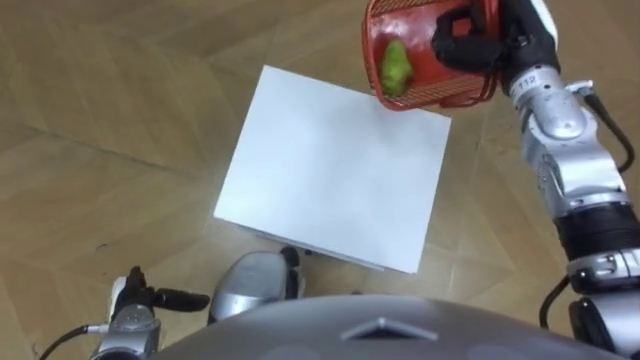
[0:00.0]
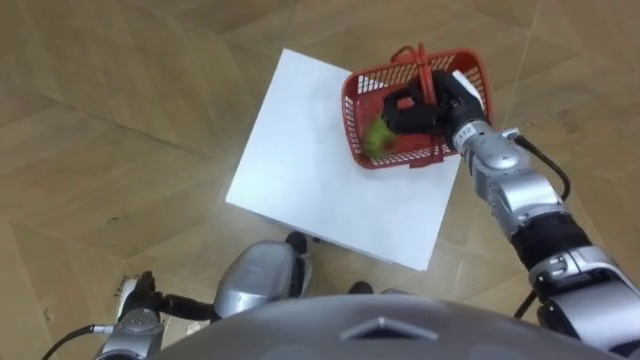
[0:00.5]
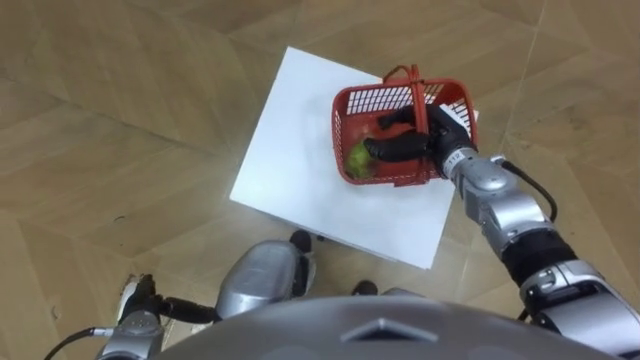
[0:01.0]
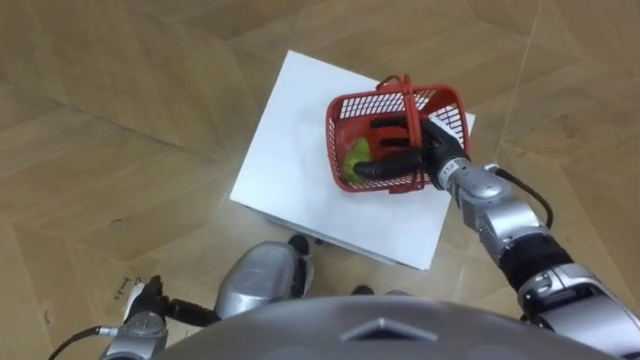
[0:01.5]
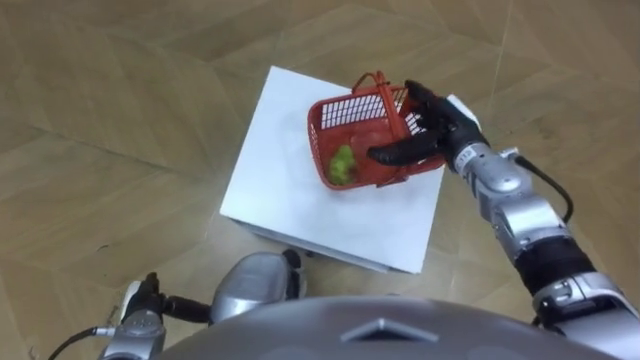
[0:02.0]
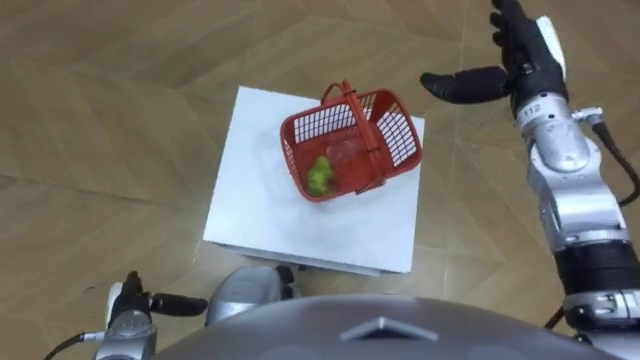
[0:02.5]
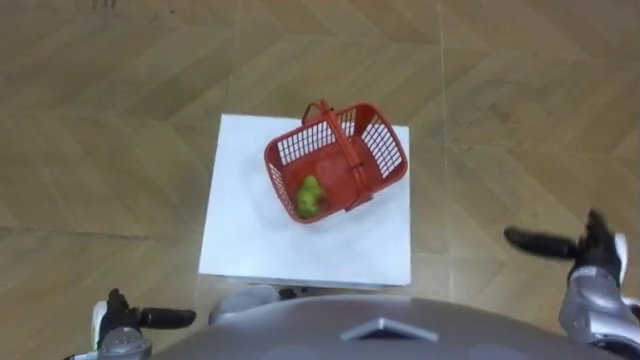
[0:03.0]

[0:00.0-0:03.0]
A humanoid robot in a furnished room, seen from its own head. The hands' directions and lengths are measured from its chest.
Task of the whole recording: Pick up the fruit basket from the floor and place it on the cabinet.
0:00.0 to 0:01.5: The right hand heads downward, backward and to the left, covering roughly 20 cm, and opens its fingers.
0:01.5 to 0:03.0: The right hand moves to the right and backward, about 25 cm.

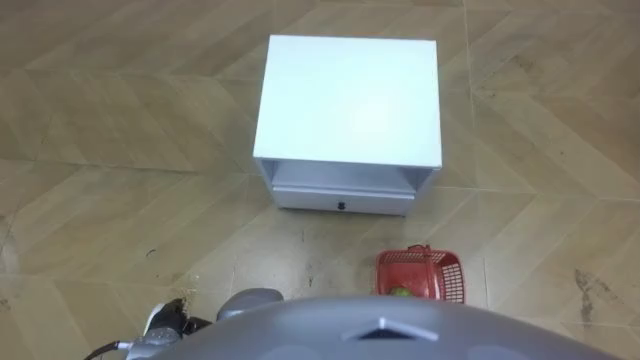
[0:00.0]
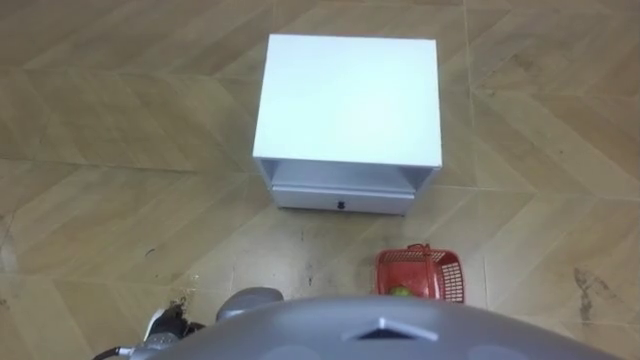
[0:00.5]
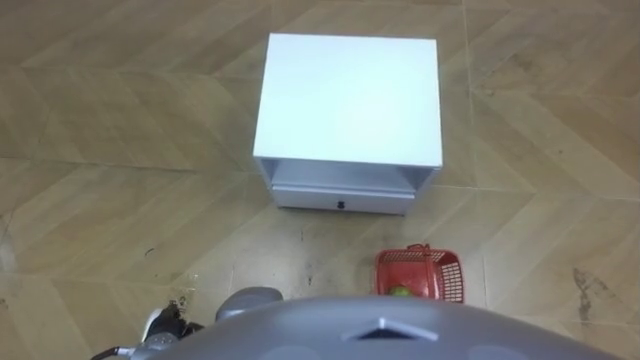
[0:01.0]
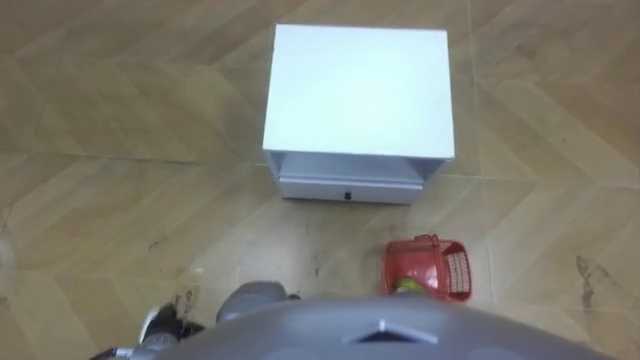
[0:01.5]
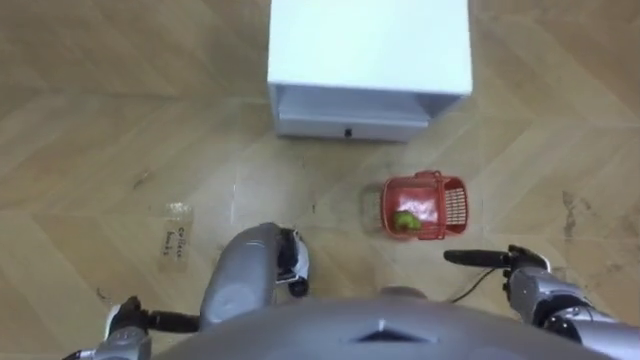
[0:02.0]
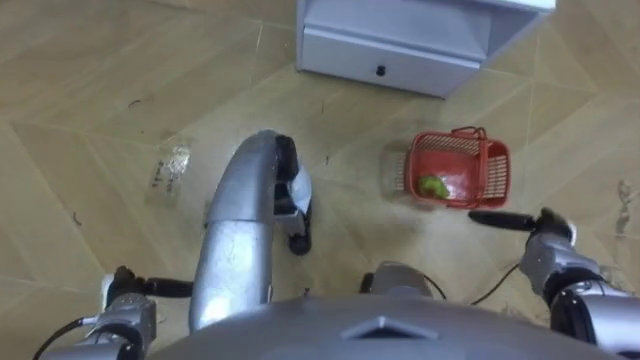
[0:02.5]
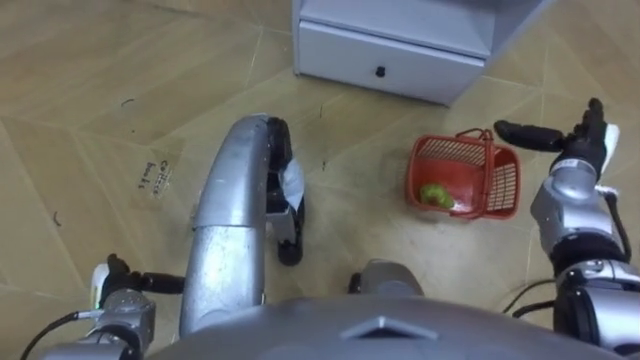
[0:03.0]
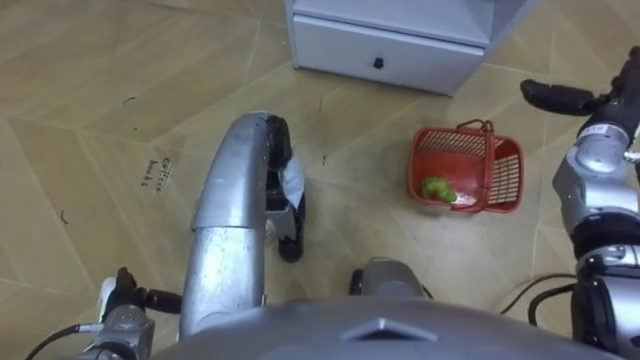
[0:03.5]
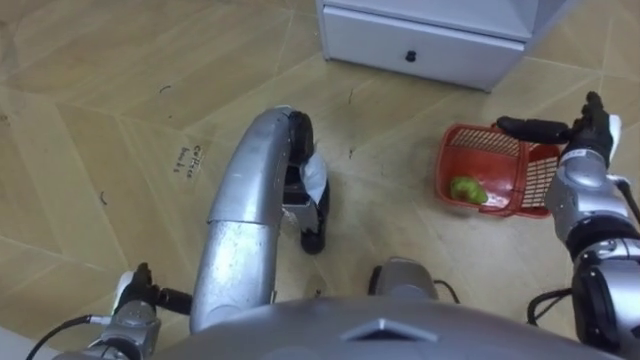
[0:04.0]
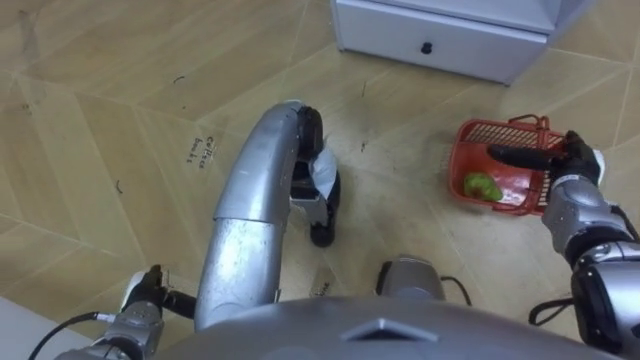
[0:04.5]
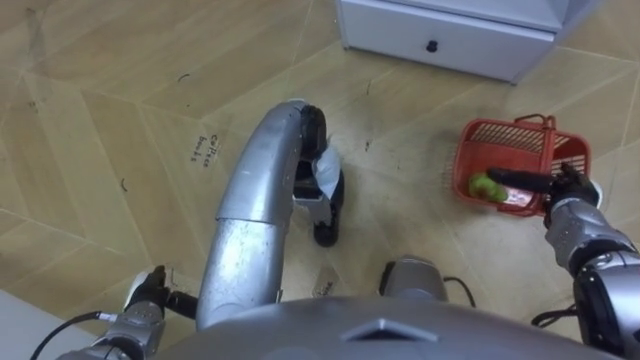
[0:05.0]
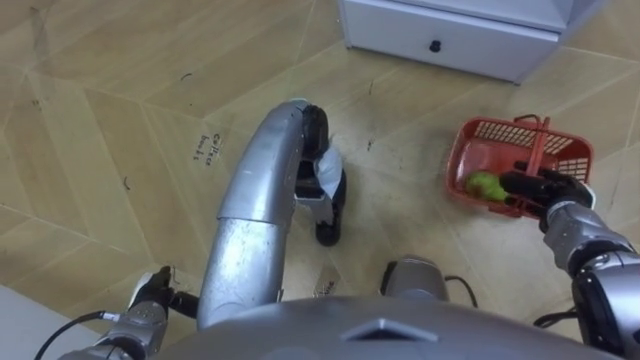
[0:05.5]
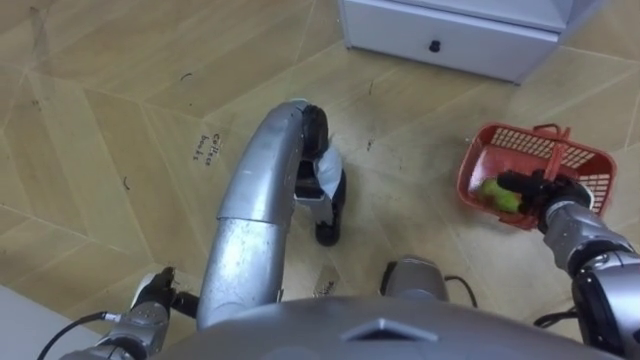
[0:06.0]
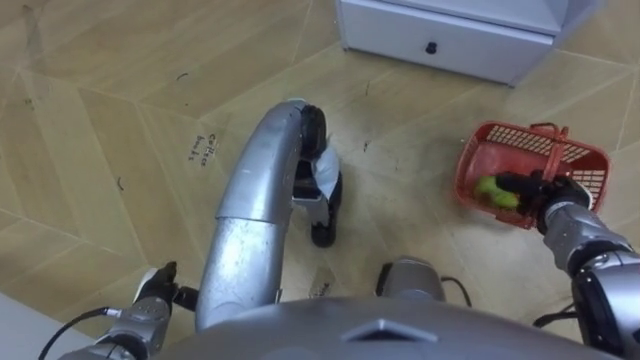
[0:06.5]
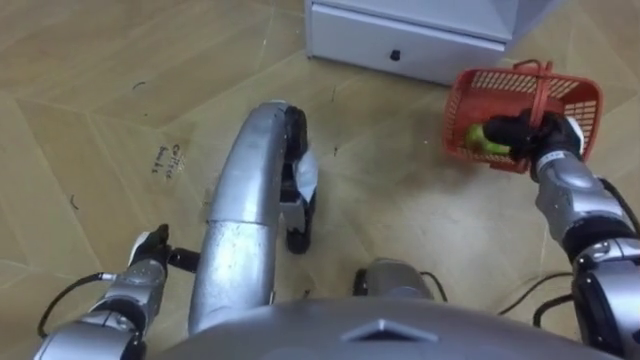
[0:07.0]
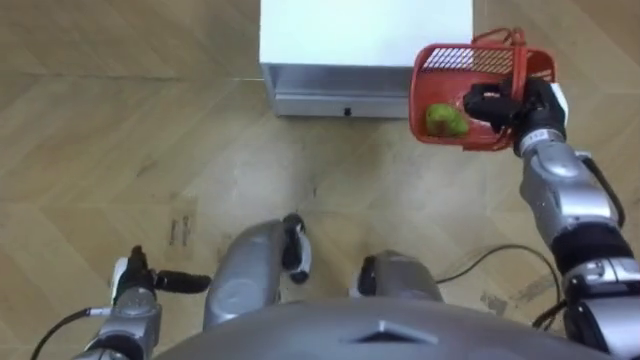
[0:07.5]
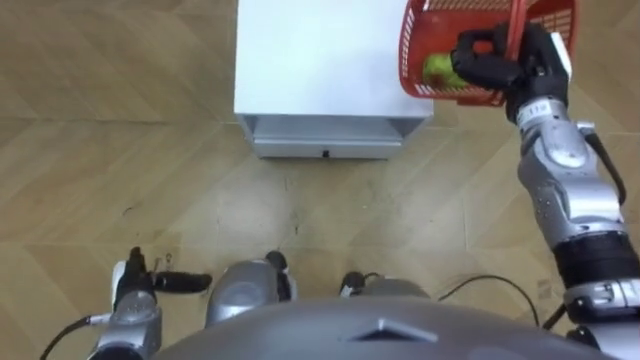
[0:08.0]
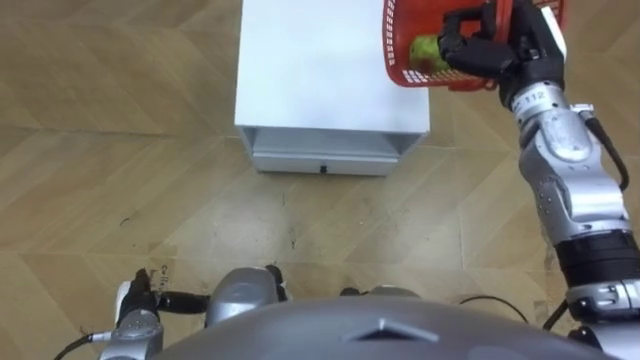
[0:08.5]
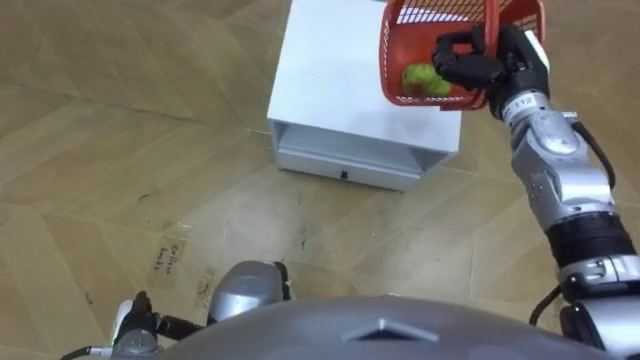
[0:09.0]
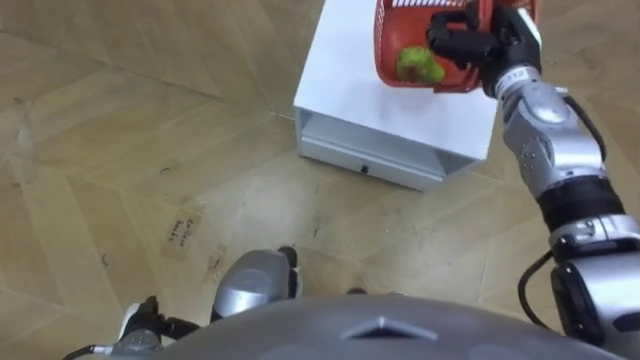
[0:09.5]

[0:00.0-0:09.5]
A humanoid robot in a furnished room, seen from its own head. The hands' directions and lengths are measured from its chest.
Task of the whole recording: Pick up the fruit basket from the floor and place it on the cabinet.
0:02.0 to 0:04.0: The right hand heads forward and upward, covering some 20 cm.
0:04.0 to 0:05.5: The right hand moves backward and downward, roughly 10 cm, and closes up.
0:05.5 to 0:07.5: The robot faces about 15 degrees further to its right. The right hand heads forward, upward and to the left, covering approximately 15 cm.
0:07.5 to 0:09.5: The left hand is displaced backward by some 5 cm, while the right hand is displaced upward, forward and to the left by about 10 cm.

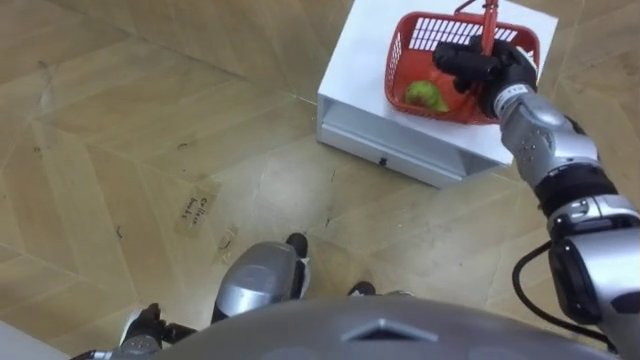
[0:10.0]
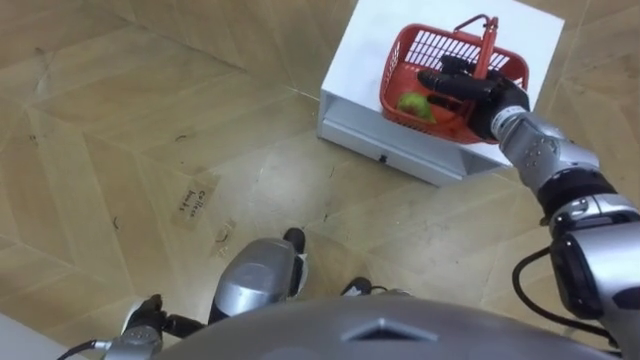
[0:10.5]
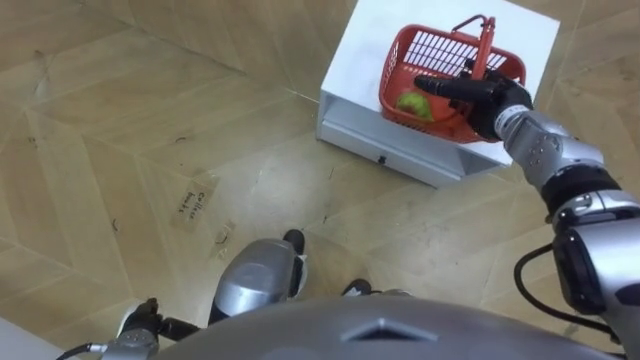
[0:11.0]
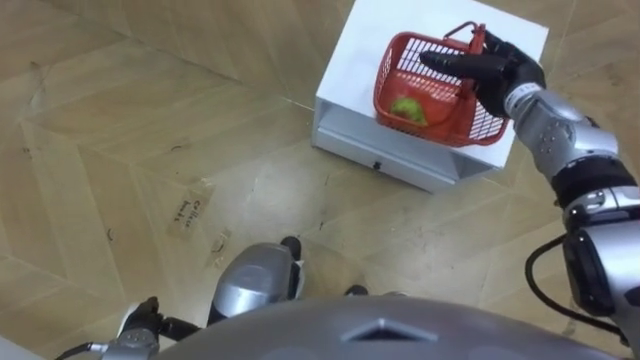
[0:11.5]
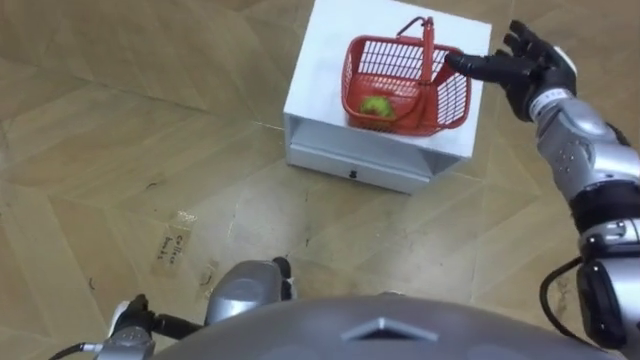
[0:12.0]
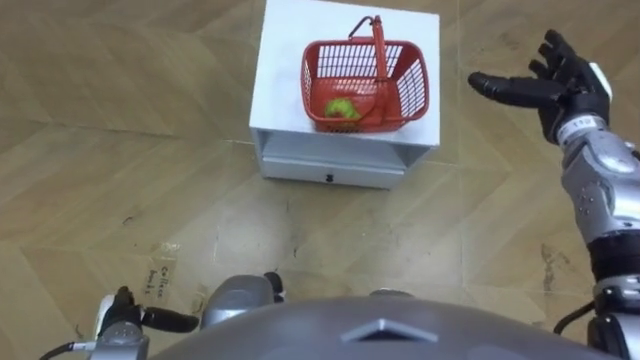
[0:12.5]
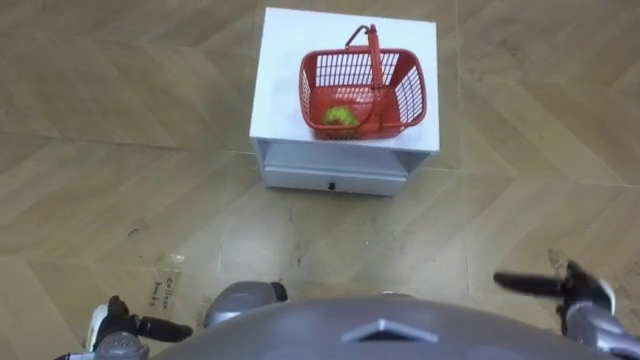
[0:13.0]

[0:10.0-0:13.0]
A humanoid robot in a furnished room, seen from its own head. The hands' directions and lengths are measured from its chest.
Task of the whole recording: Pick up the fruit basket from the floor and place it on the cabinet.
0:10.0 to 0:11.5: The right hand opens.
0:11.5 to 0:13.0: The right hand shifts approximately 30 cm backward, to the right and downward.

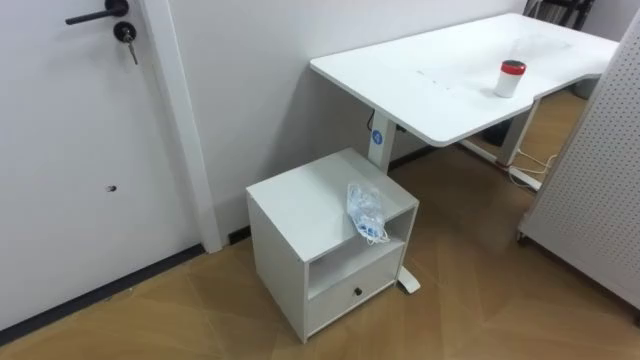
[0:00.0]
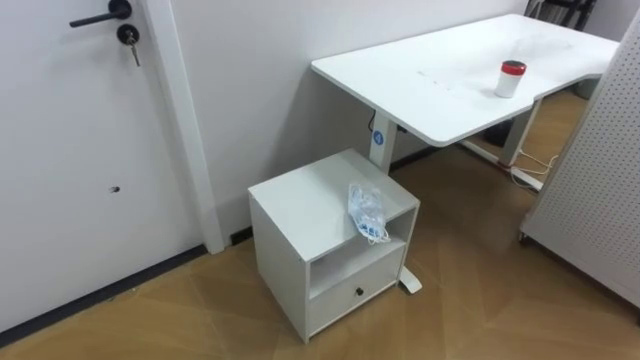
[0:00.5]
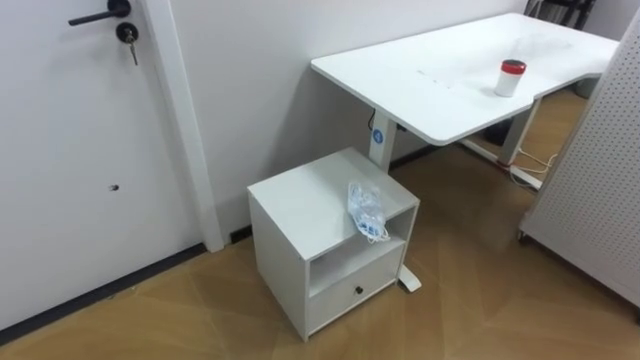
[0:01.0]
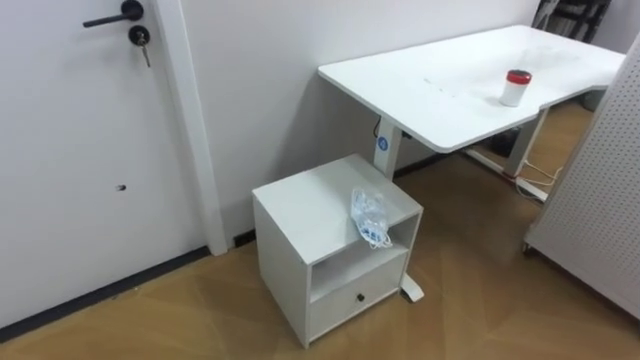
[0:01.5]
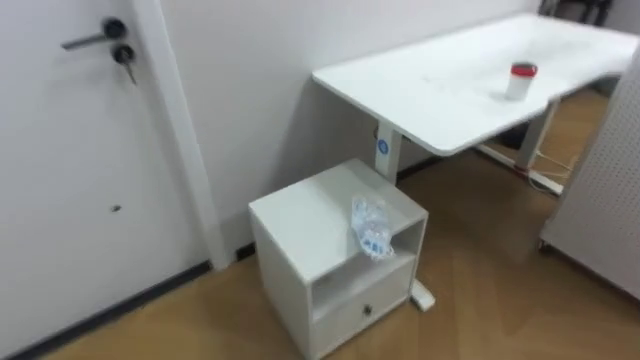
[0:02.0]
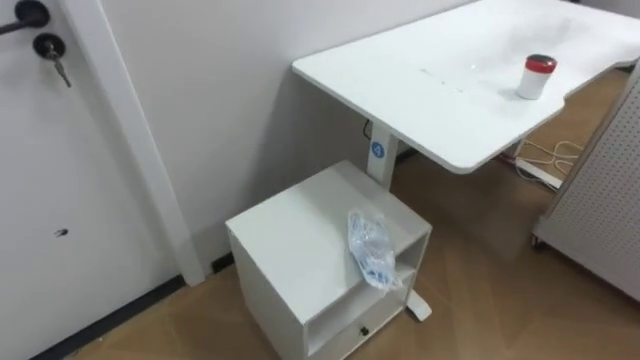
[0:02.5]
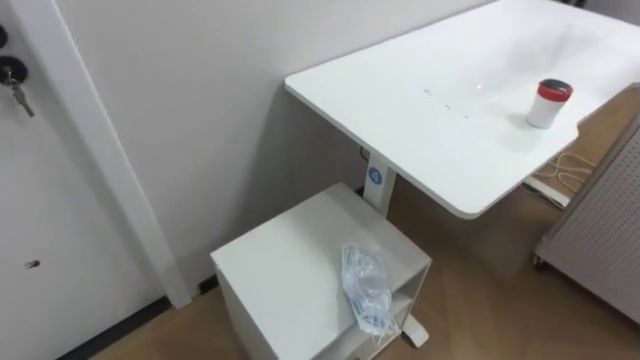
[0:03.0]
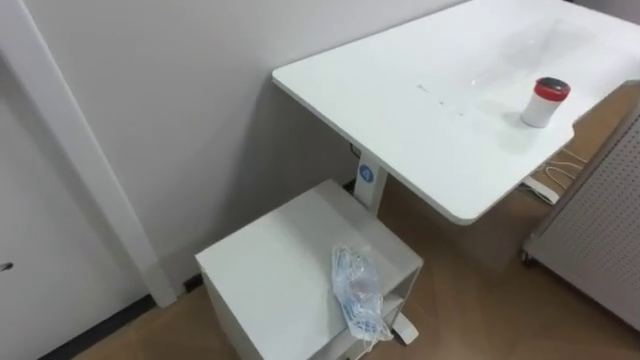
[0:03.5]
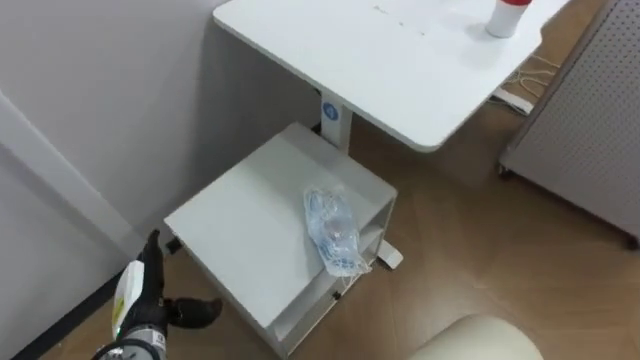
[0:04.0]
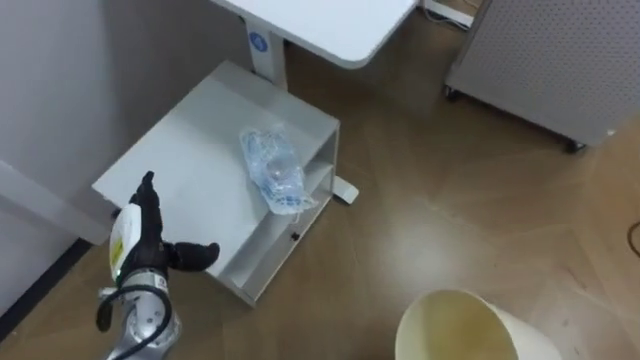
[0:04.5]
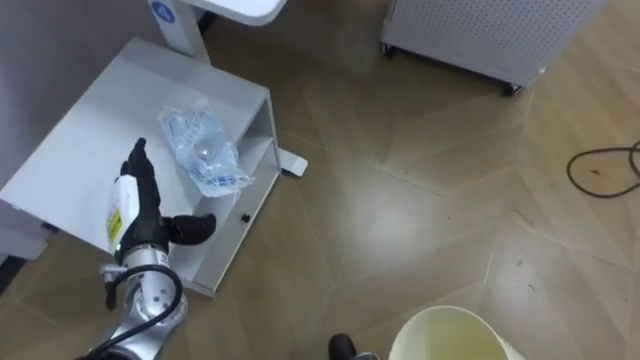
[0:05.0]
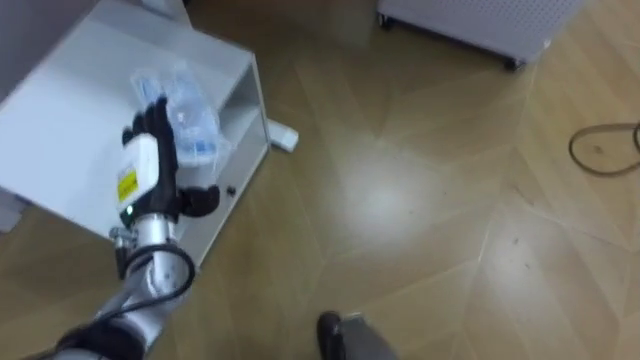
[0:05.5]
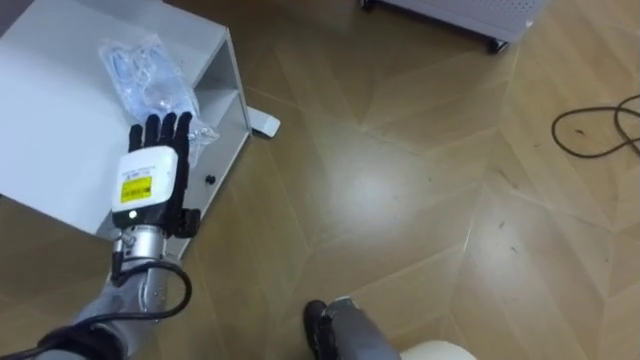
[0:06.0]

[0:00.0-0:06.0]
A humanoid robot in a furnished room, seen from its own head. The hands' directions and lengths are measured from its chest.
Task of the whole recording: Pick up the light blue package, the candy box, and the dark blue package separately, and put them into the trash can held in your right hand.
0:04.0 to 0:06.0: The left hand moves upward and forward, approximately 15 cm.
